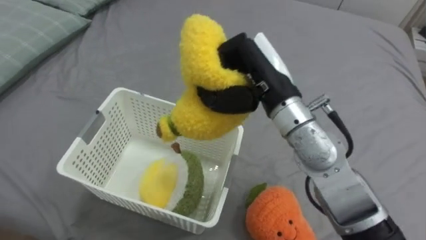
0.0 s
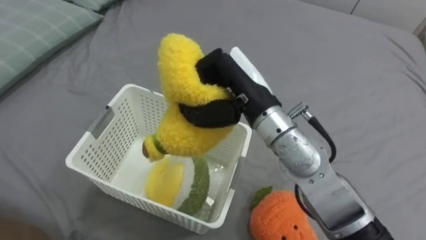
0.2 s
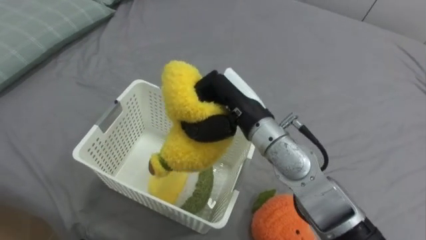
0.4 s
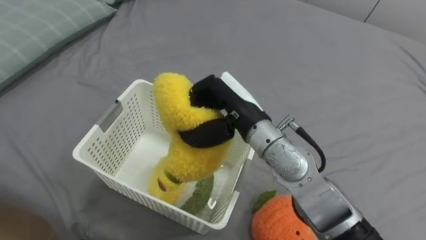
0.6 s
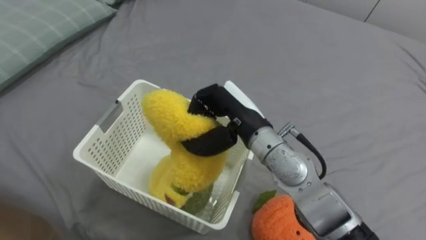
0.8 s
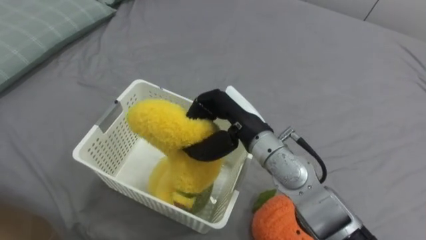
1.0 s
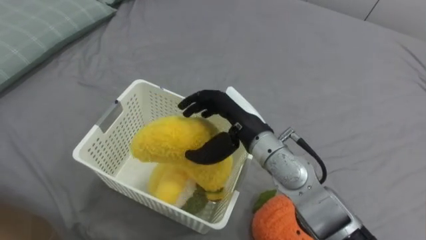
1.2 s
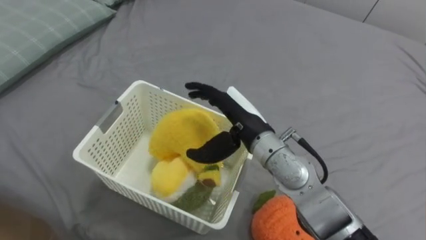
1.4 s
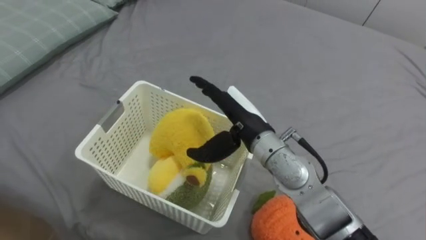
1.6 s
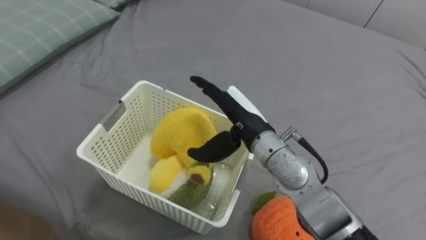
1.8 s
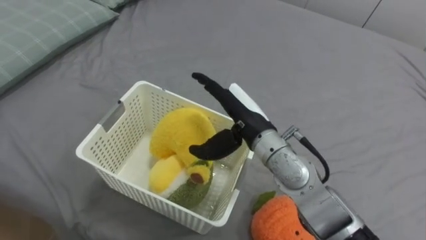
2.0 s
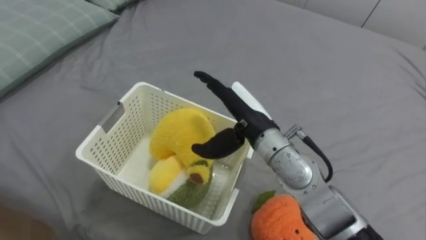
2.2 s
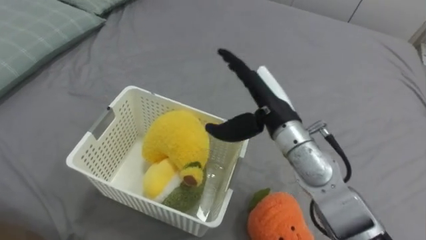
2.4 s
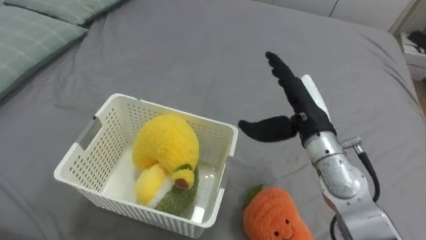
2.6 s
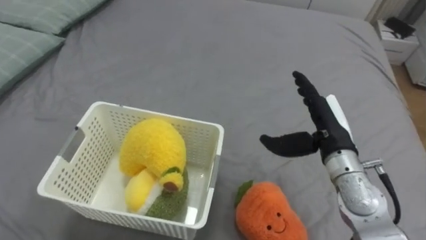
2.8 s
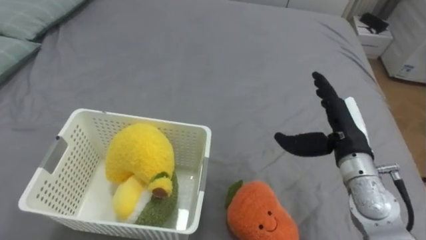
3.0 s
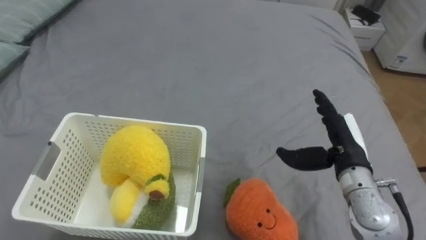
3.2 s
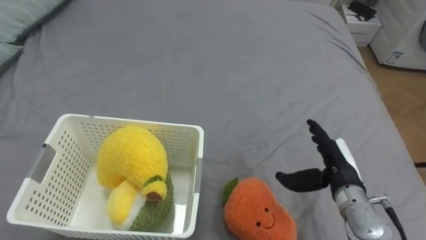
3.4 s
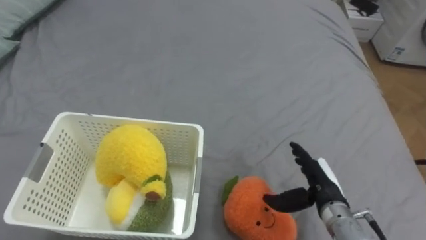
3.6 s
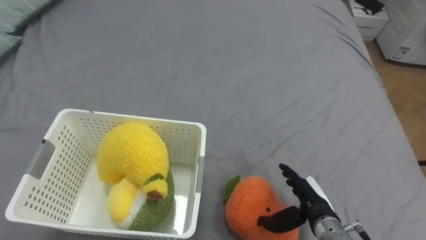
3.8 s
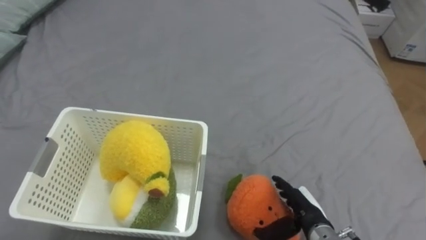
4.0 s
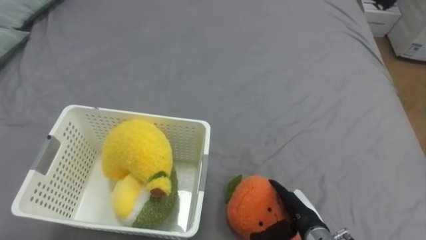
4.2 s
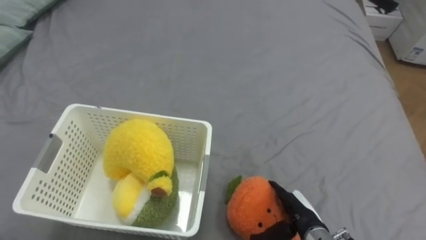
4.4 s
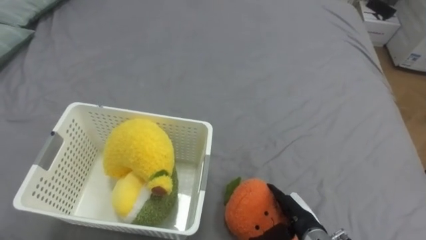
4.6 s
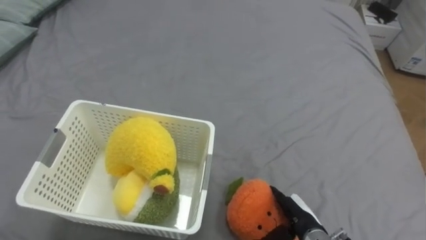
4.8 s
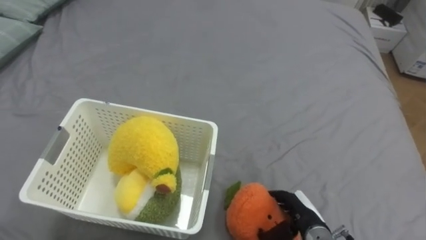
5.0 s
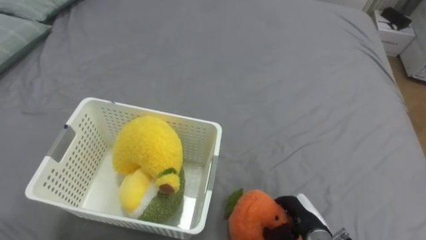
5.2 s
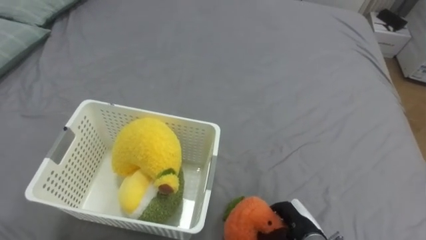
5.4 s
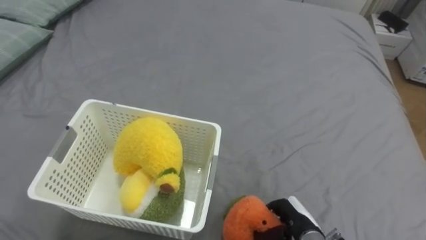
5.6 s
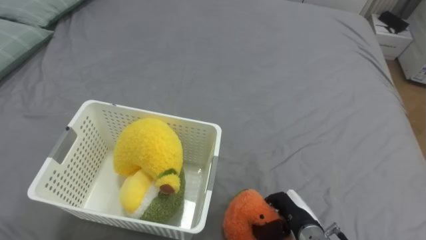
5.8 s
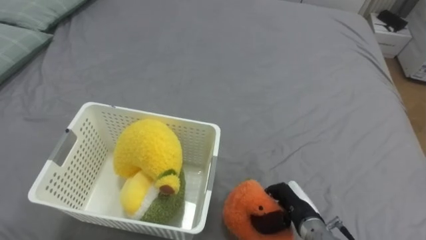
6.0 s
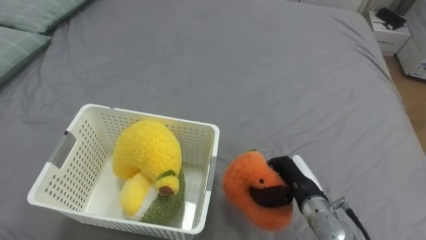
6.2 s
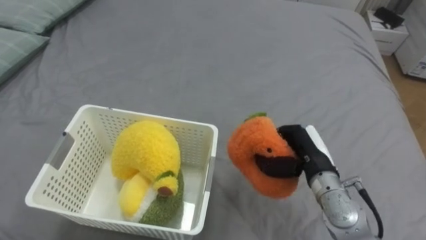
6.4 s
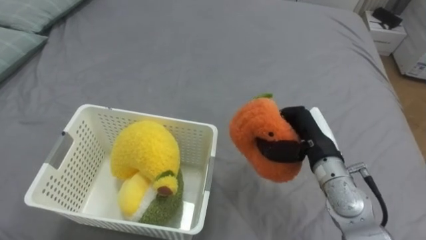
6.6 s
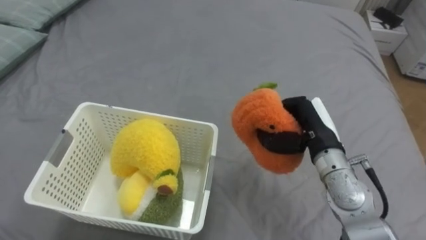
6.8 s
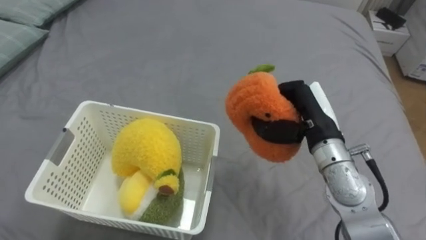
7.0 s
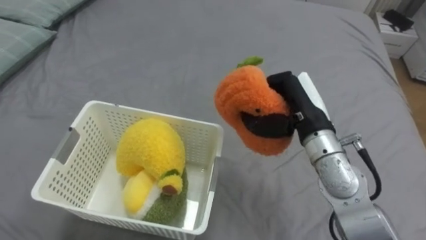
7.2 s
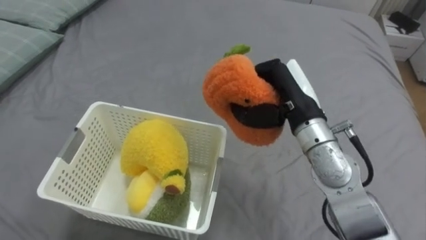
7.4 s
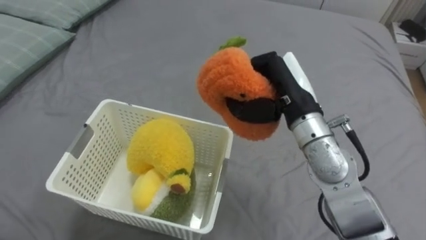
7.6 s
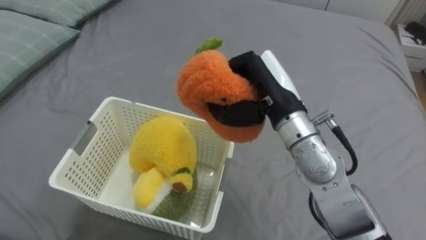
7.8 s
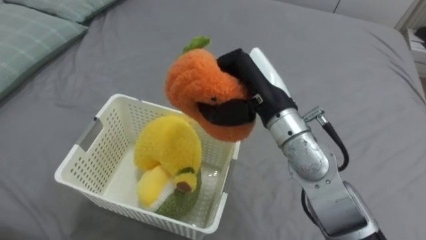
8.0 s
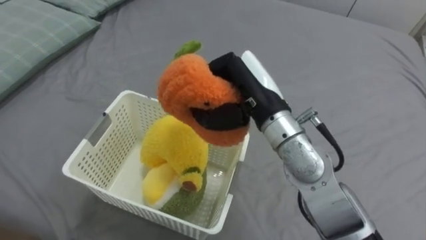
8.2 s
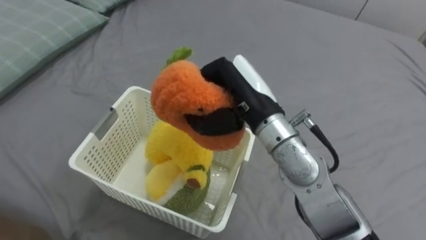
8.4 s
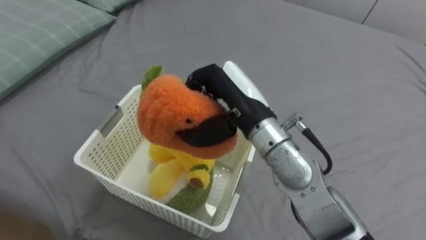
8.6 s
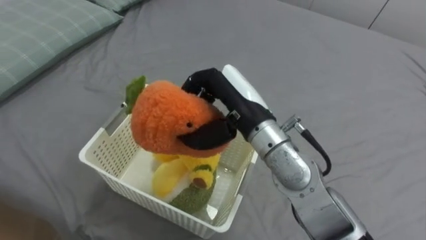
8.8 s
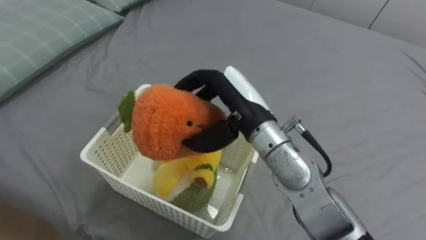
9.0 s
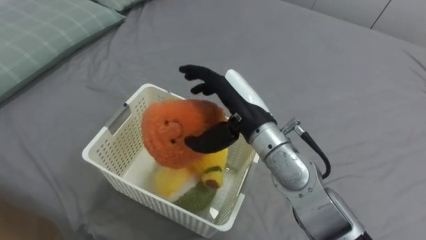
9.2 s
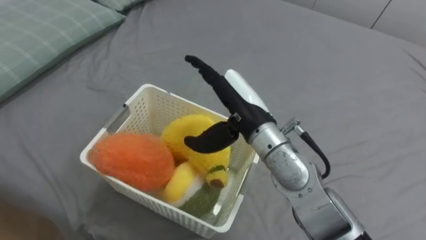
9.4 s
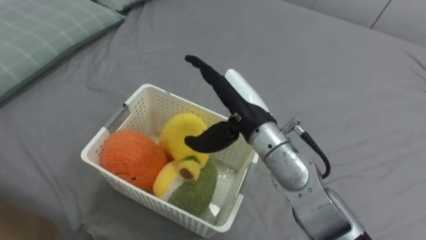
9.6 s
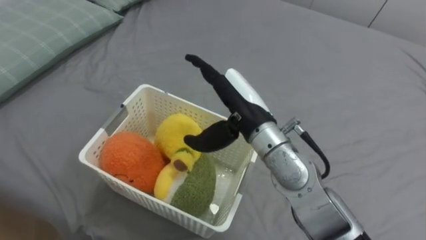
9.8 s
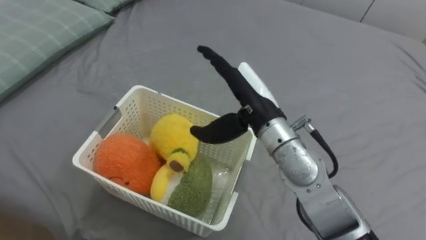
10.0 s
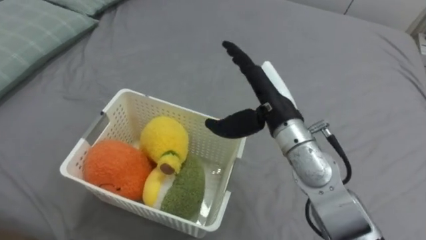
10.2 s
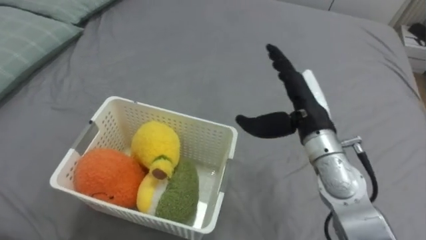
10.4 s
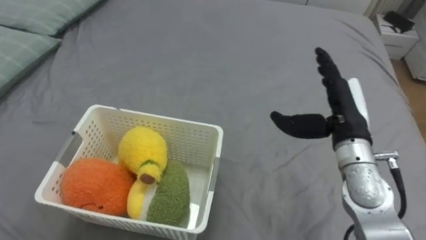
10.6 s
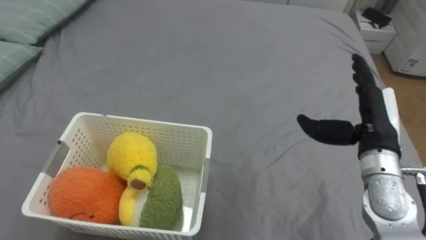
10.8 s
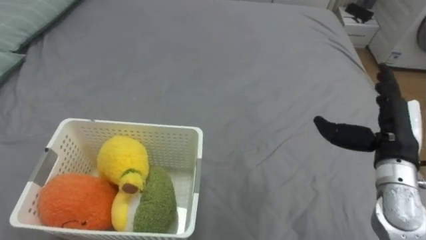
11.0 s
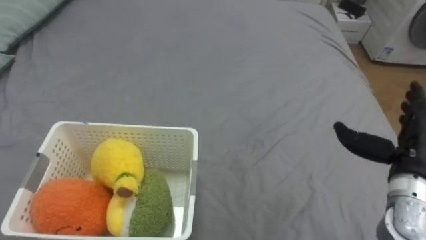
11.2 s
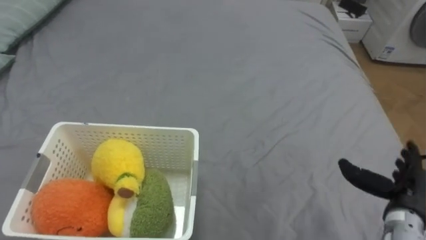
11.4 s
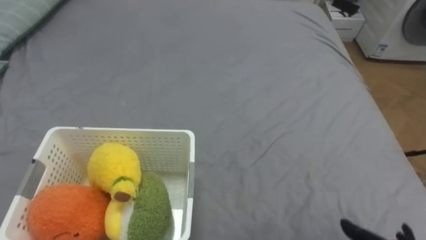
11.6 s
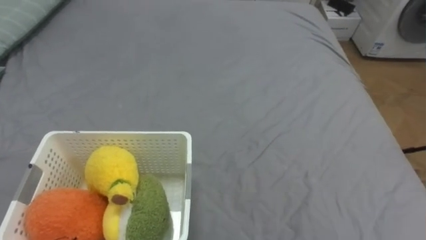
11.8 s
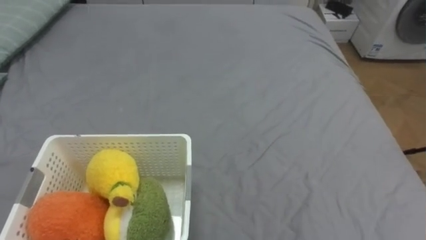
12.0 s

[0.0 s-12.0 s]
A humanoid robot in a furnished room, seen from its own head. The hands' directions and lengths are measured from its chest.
Task of the whole recording: Put the toys on the bed into the basket on the left.
0.0 to 1.6 s: The right hand moves downward, some 10 cm, and opens up.
1.6 to 3.0 s: The right hand goes some 20 cm to the right.
3.0 to 4.4 s: The right hand shifts some 20 cm downward and backward.
4.4 to 6.0 s: The right hand closes its fingers.
6.0 to 7.6 s: The right hand travels upward and forward by some 25 cm.
7.6 to 9.0 s: The right hand moves to the left, some 10 cm, and opens up.
9.0 to 10.4 s: The right hand goes roughly 10 cm to the right, and opens up.

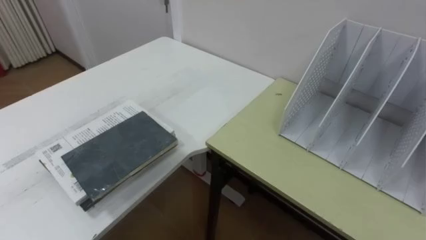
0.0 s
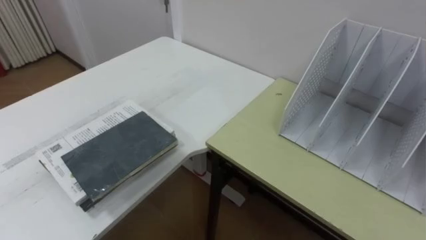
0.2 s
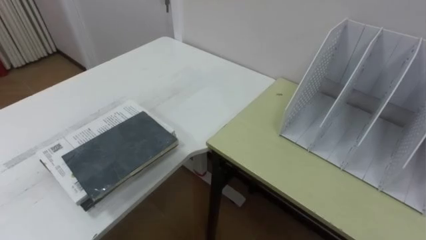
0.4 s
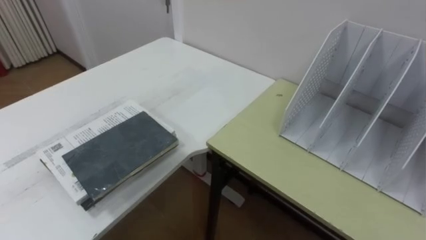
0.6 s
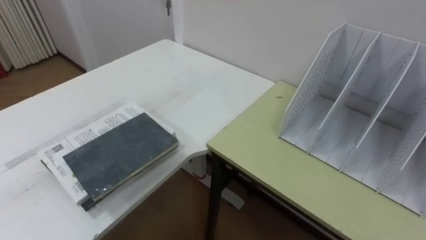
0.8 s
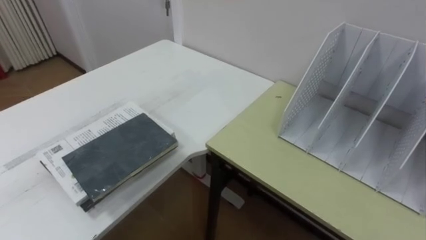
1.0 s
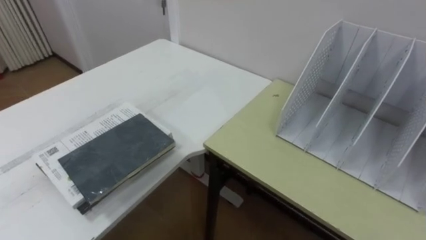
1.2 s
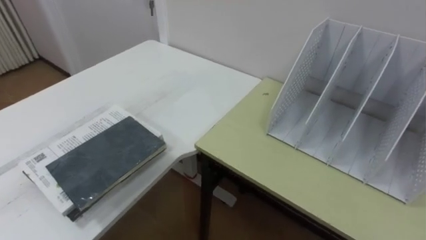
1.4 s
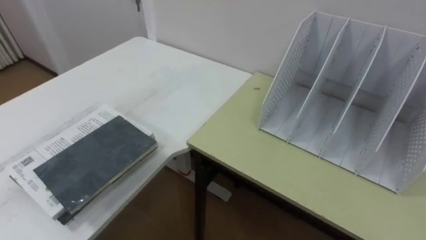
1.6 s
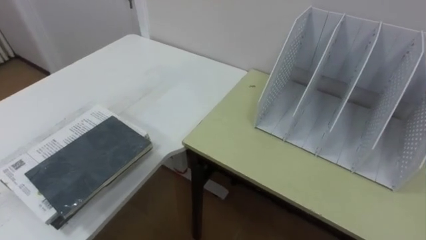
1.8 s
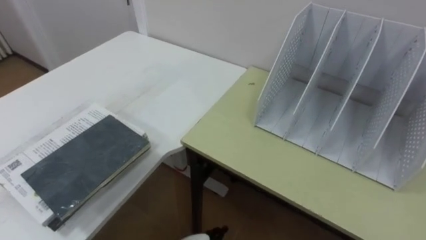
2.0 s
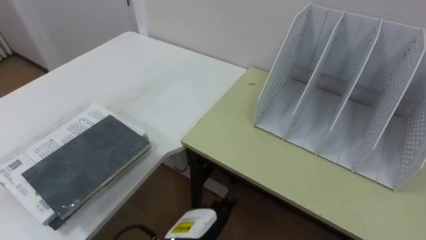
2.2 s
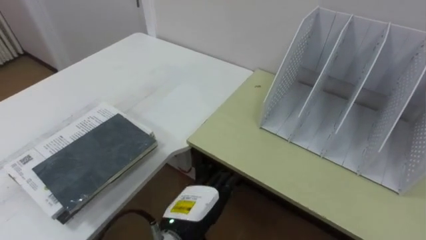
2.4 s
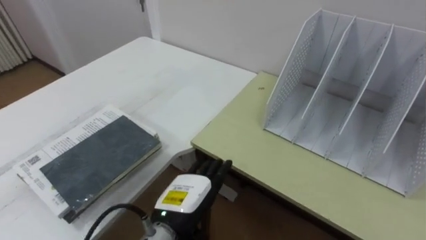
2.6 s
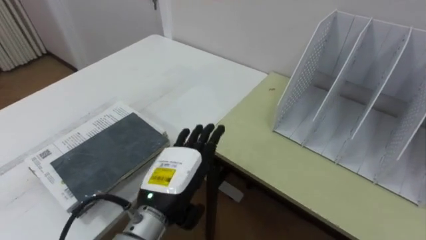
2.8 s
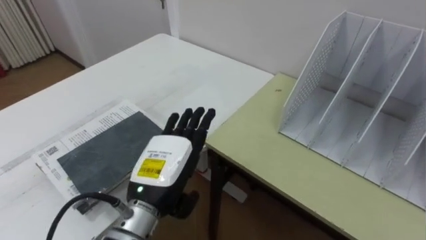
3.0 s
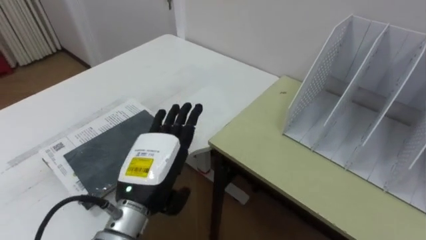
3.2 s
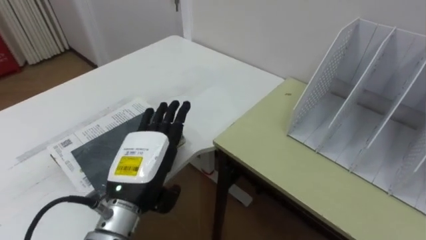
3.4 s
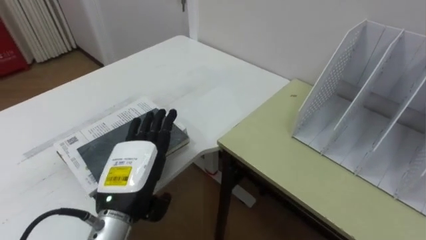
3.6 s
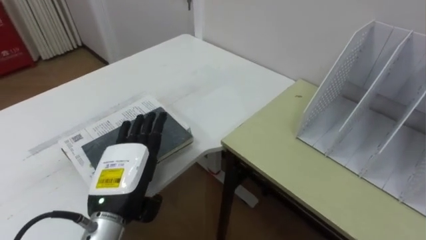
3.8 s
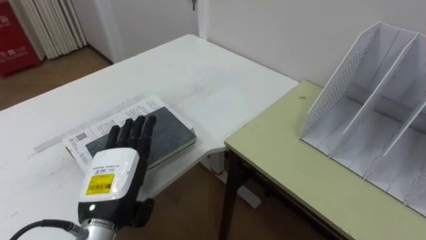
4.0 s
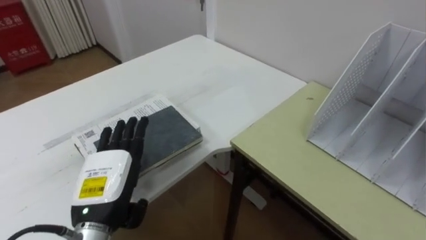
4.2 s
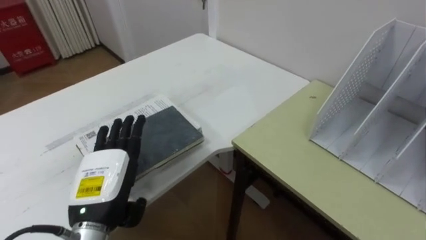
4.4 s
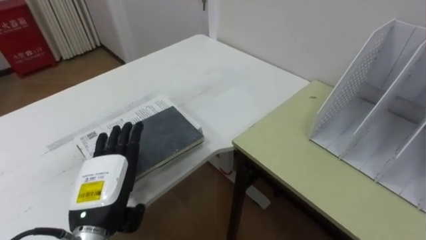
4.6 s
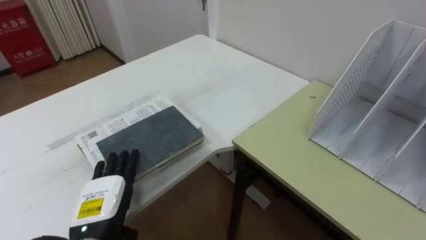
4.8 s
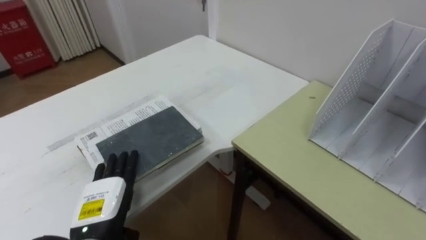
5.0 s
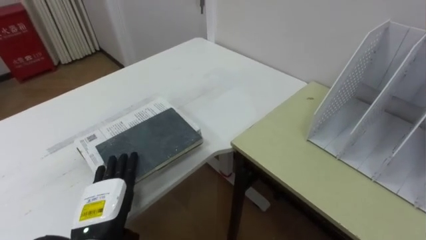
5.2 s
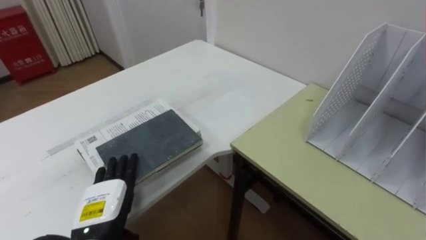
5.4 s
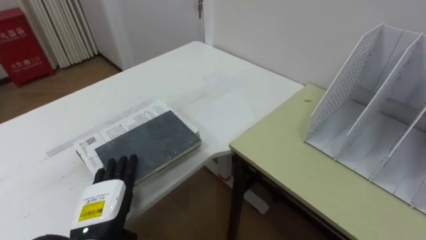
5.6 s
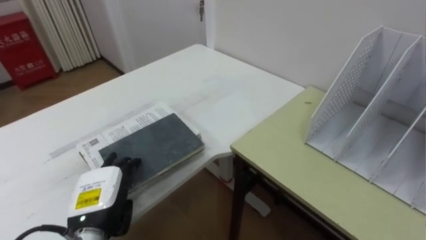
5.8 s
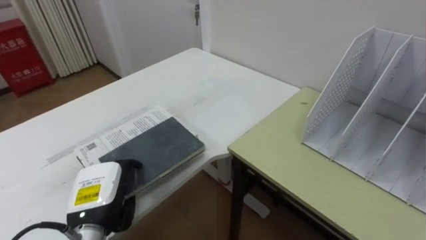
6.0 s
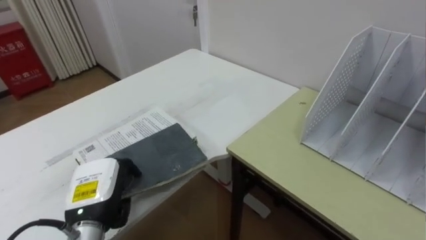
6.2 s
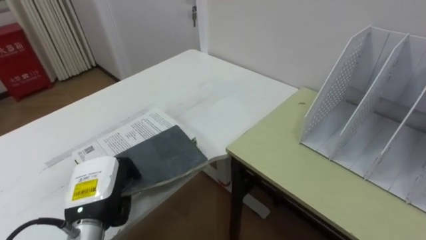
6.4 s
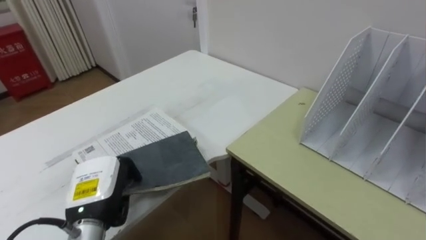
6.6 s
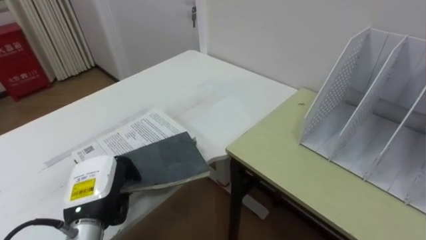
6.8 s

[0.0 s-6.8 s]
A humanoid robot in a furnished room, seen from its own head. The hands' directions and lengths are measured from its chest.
Task of the whole recording: Put the books on the table onto the bookshelf.
2.8 to 4.0 s: The left hand goes some 10 cm to the left.
4.0 to 5.4 s: The left hand shifts roughly 5 cm downward.
5.4 to 6.8 s: The left hand closes.
